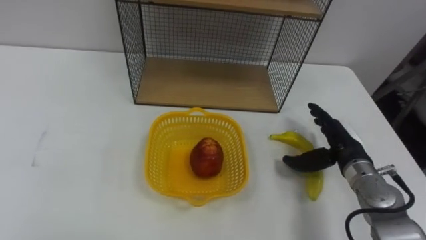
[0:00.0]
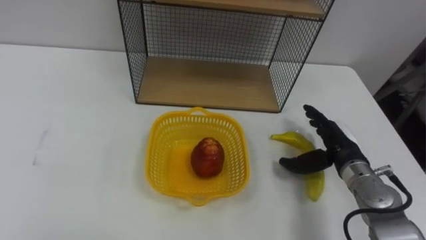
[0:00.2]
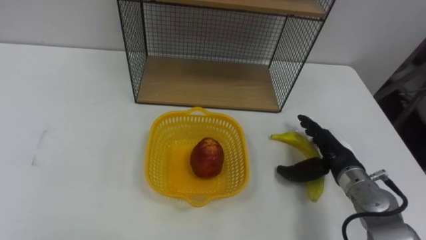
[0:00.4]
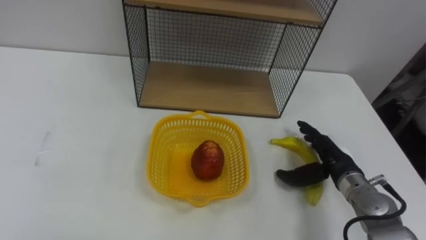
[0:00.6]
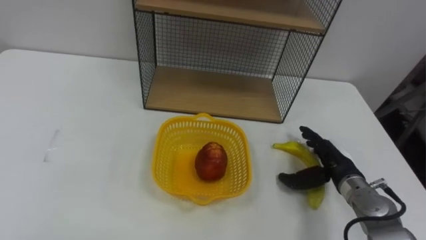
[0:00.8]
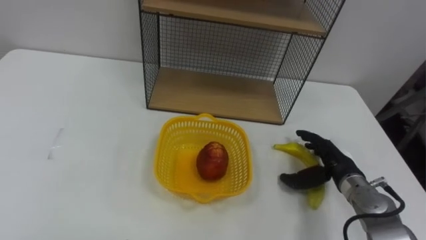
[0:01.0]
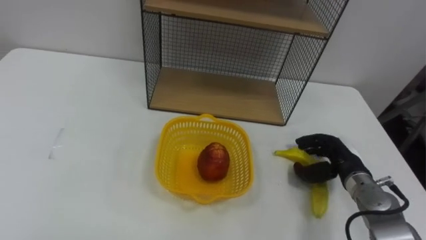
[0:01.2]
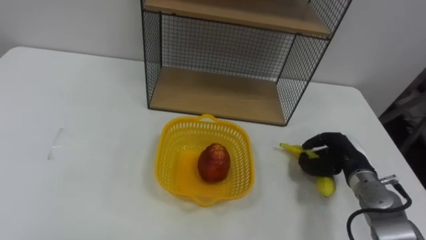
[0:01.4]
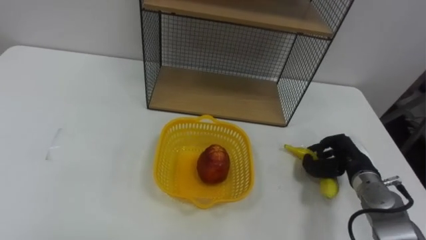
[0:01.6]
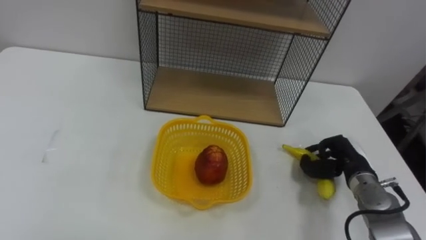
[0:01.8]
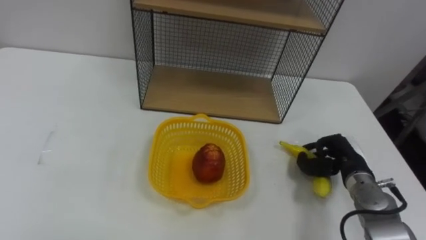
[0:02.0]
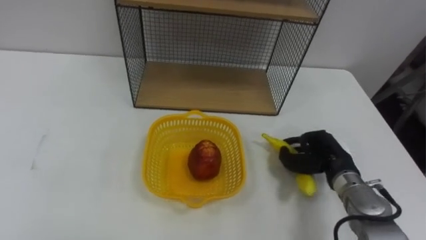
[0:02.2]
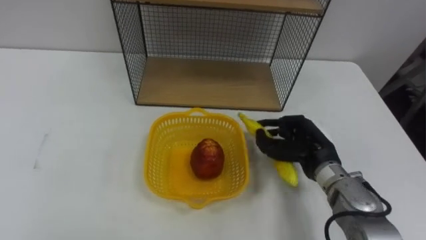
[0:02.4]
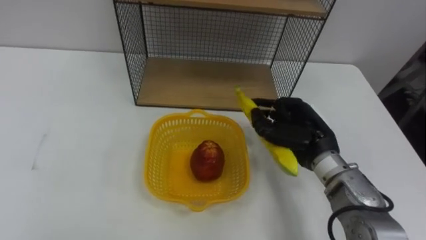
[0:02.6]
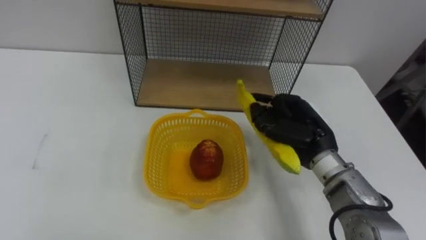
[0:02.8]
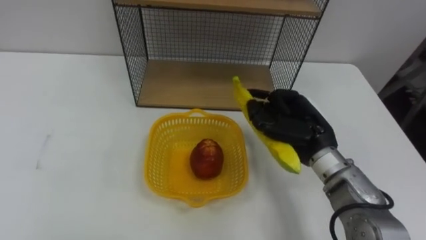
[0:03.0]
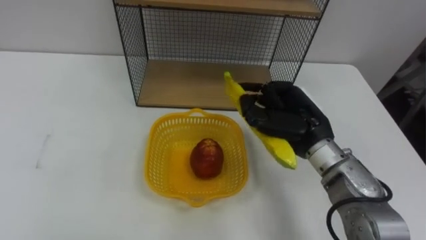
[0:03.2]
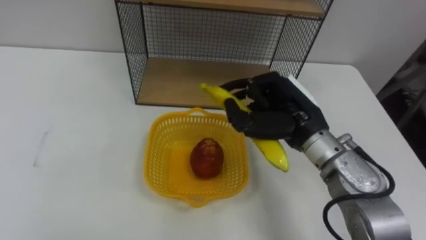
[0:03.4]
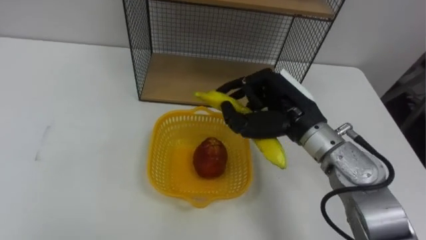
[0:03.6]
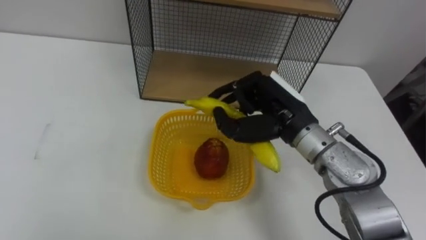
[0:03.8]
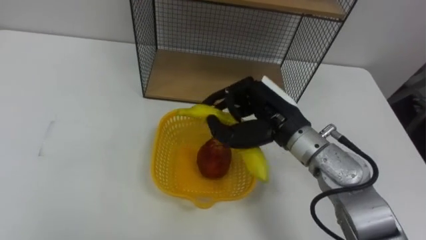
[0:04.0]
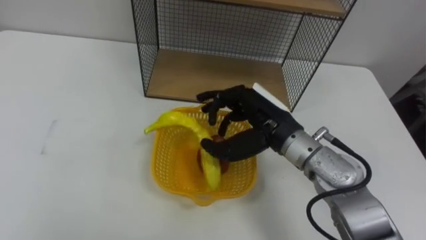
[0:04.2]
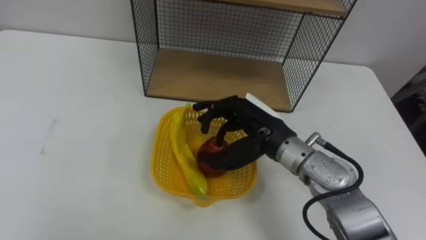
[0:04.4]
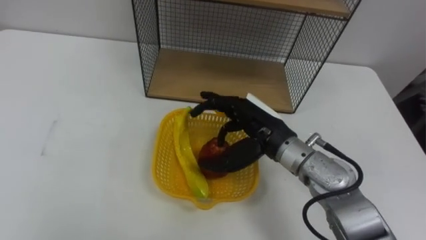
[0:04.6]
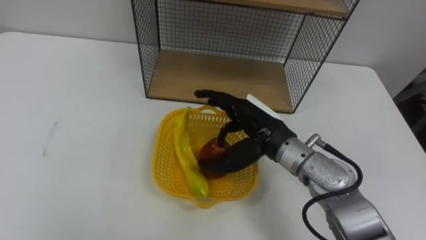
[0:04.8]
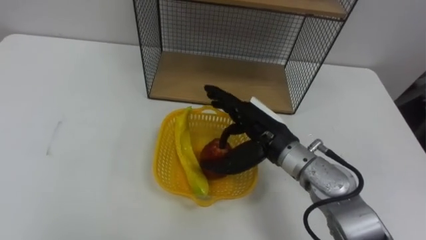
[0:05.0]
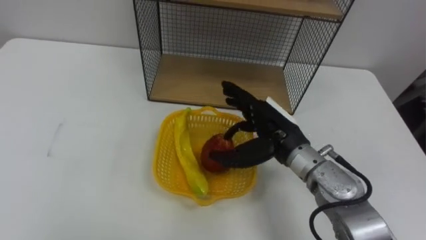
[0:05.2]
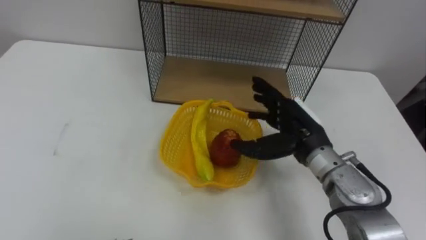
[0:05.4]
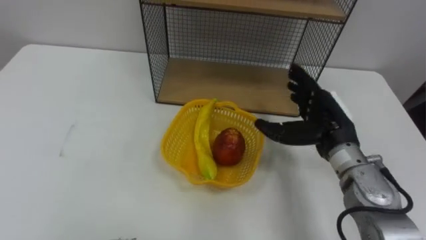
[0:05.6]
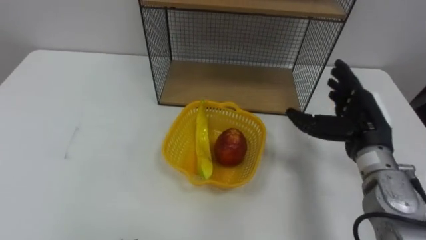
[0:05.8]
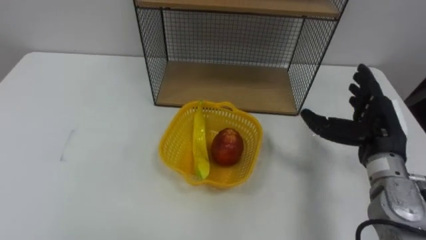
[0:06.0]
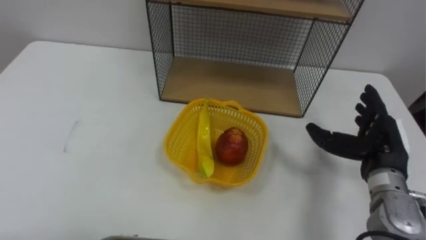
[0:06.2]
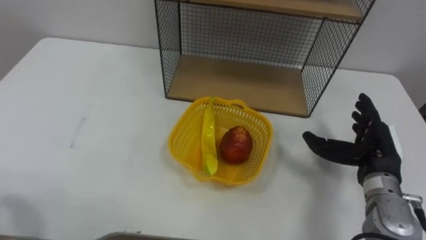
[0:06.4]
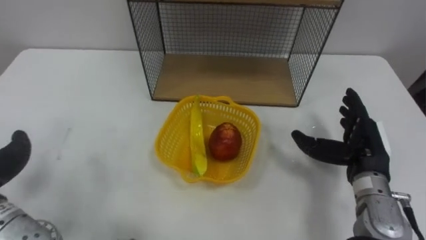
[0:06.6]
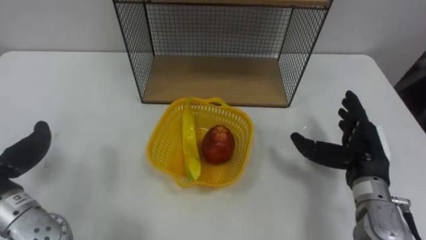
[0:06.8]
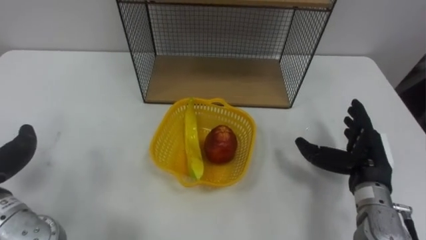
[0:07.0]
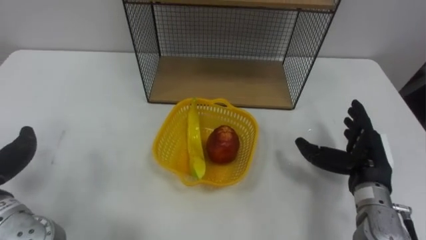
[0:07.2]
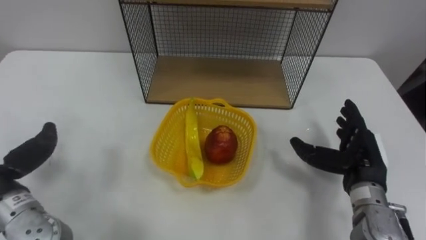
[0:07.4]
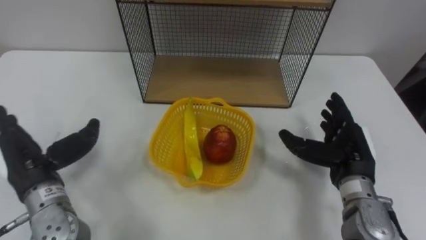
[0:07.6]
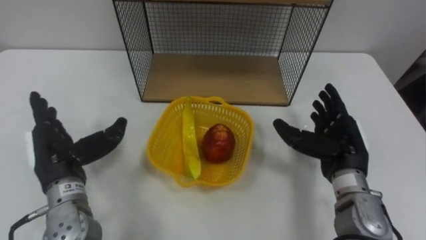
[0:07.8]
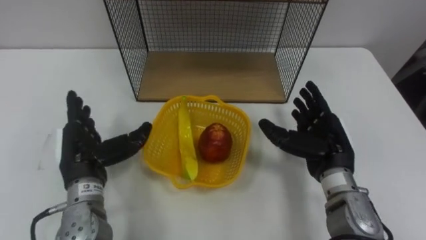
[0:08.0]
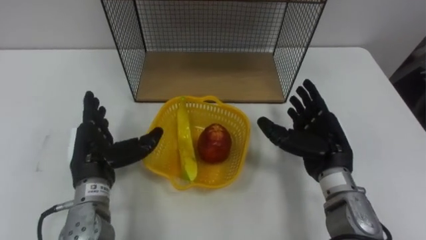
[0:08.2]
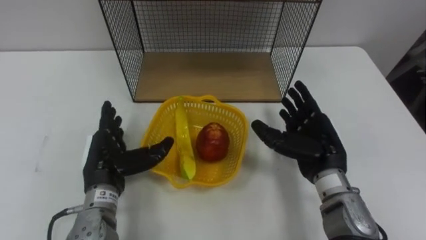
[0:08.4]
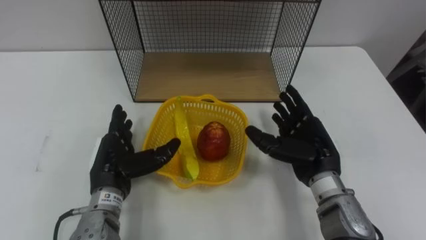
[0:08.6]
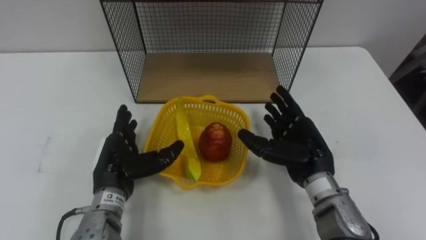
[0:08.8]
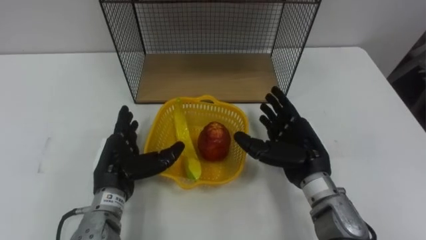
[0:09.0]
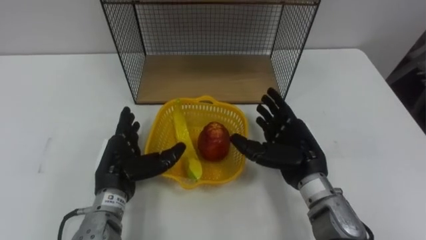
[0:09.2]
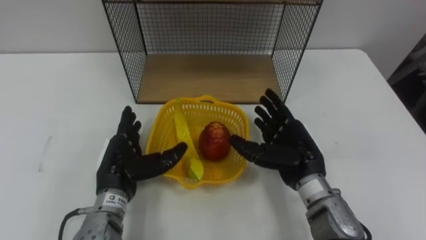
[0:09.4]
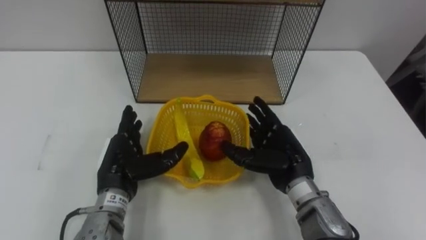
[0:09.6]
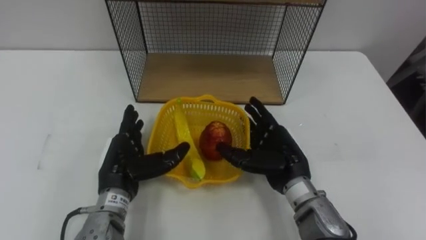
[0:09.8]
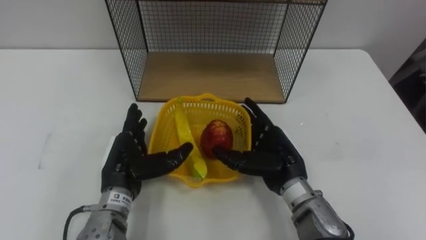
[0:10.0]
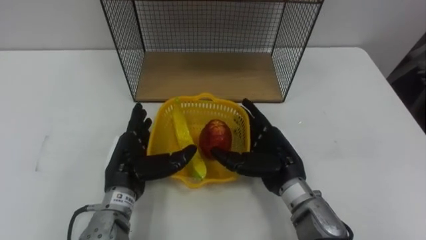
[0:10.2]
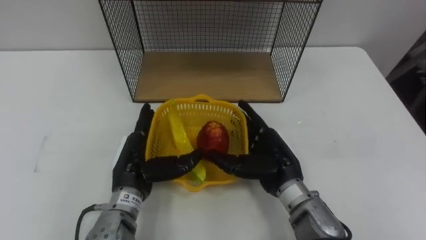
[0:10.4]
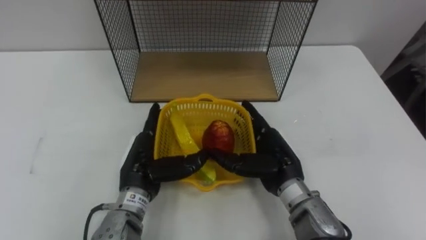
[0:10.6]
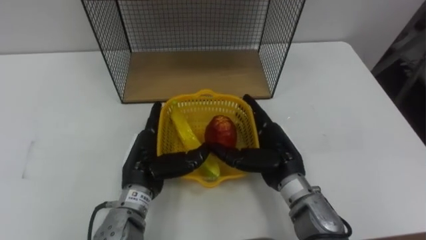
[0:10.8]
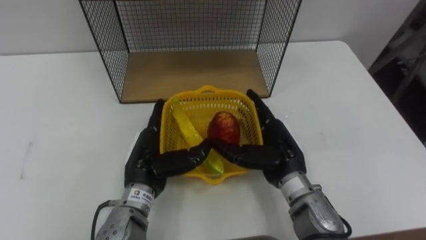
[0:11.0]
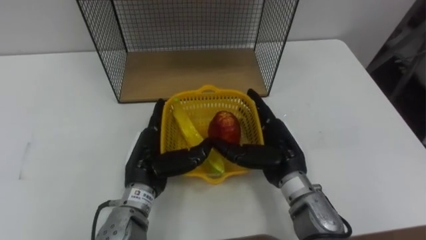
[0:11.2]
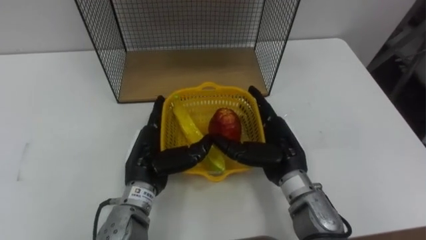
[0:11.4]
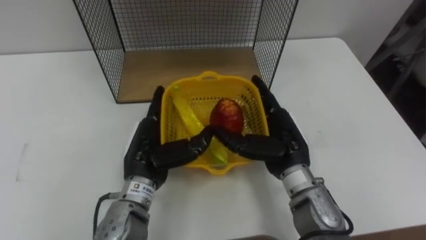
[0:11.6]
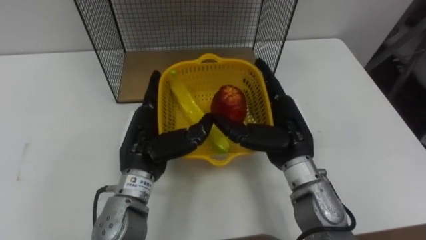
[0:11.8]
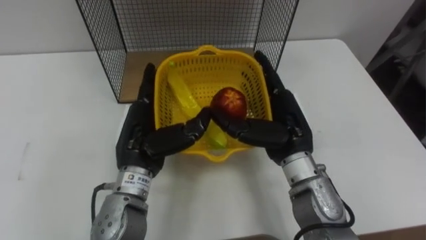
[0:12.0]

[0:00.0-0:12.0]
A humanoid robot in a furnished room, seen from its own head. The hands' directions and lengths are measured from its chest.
Task of the whole recording: Put the fruit on the table into the basket, then place the basket on the shelf.
0:00.0 to 0:01.6: The right hand travels downward by approximately 5 cm, and closes its fingers.
0:01.6 to 0:03.0: The right hand is displaced upward and to the left by roughly 20 cm.
0:03.0 to 0:04.4: The right hand travels to the left by about 10 cm.
0:04.4 to 0:06.0: The right hand heads to the right, covering about 20 cm, and opens.
0:06.0 to 0:07.6: The right hand changes place by roughly 5 cm.
0:07.6 to 0:09.0: The right hand heads to the left, covering about 10 cm. Meanwhile the left hand travels to the right and downward by about 15 cm.
0:09.0 to 0:10.4: The right hand ends up roughly 5 cm from where it was.
0:10.4 to 0:12.0: The hands both shift upward by some 5 cm.

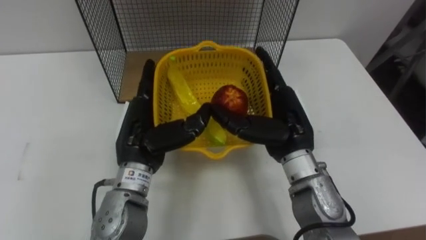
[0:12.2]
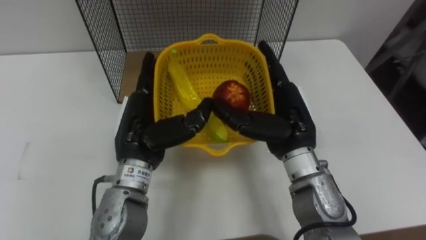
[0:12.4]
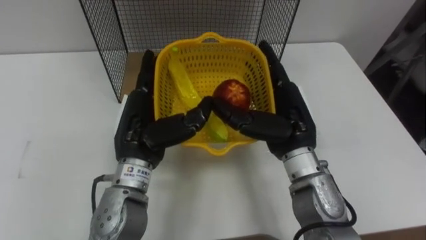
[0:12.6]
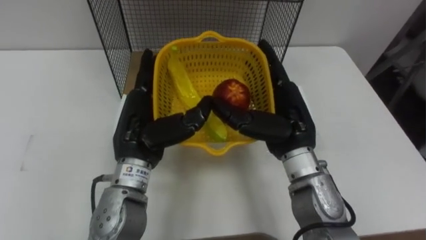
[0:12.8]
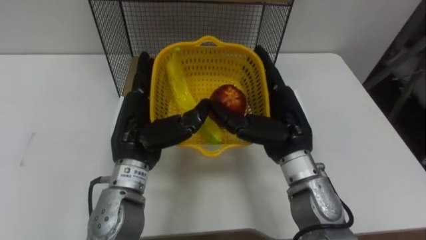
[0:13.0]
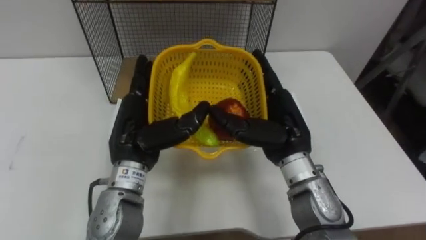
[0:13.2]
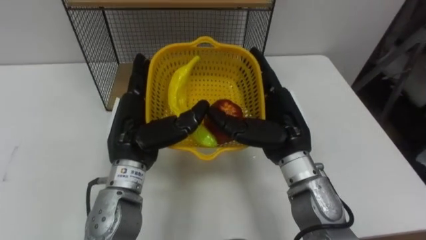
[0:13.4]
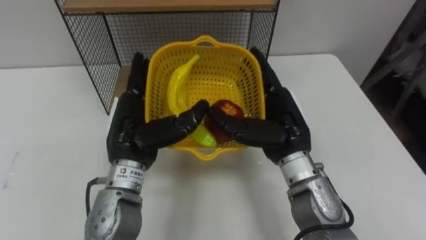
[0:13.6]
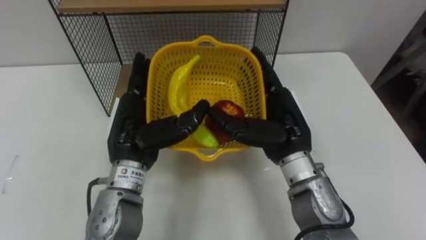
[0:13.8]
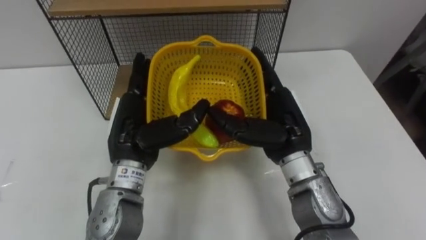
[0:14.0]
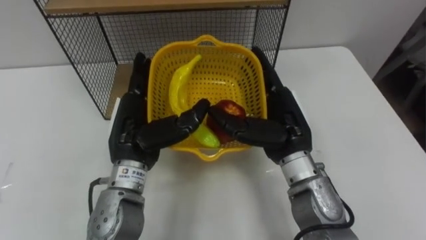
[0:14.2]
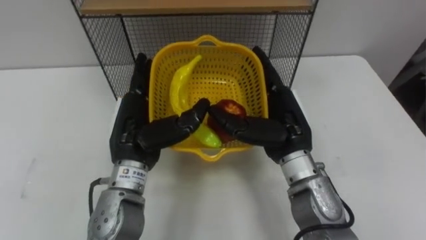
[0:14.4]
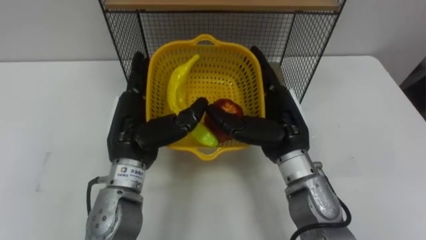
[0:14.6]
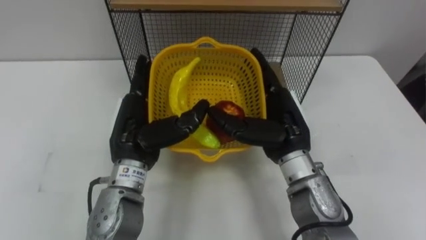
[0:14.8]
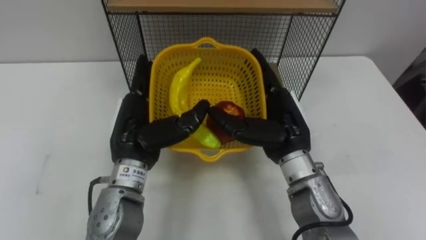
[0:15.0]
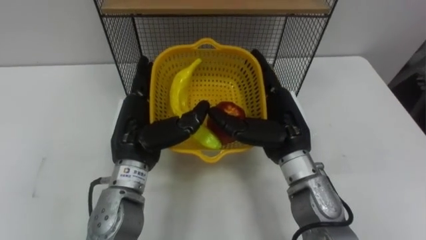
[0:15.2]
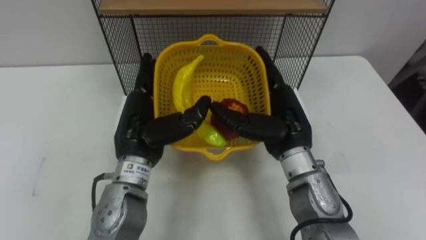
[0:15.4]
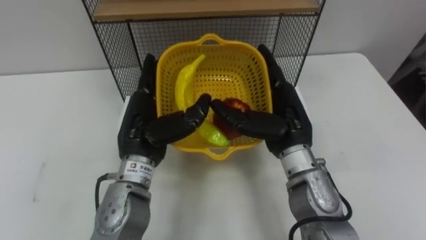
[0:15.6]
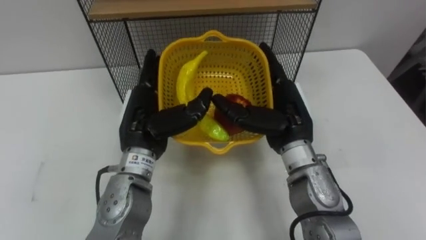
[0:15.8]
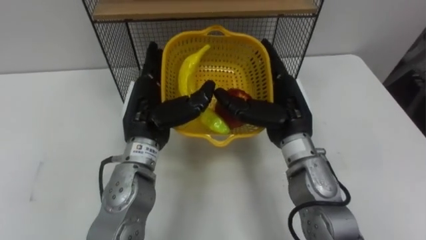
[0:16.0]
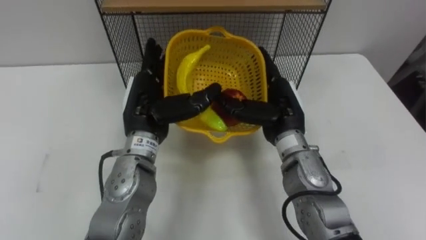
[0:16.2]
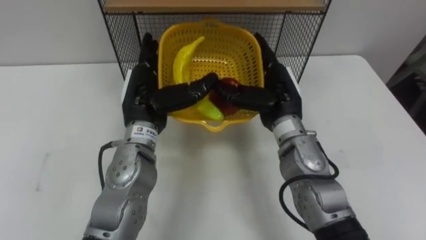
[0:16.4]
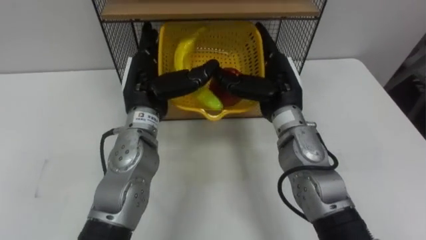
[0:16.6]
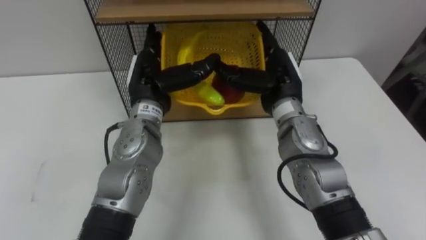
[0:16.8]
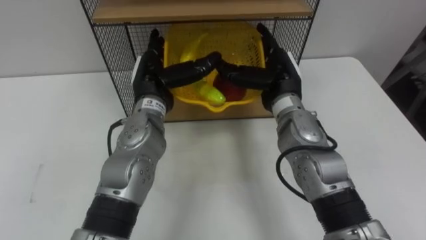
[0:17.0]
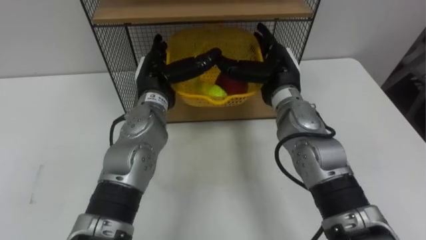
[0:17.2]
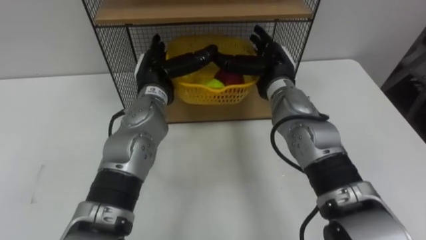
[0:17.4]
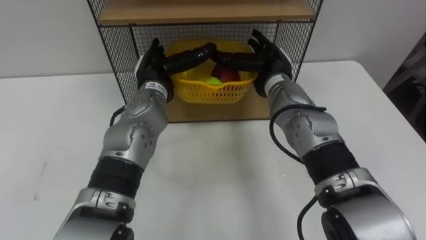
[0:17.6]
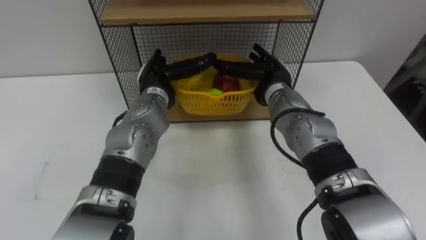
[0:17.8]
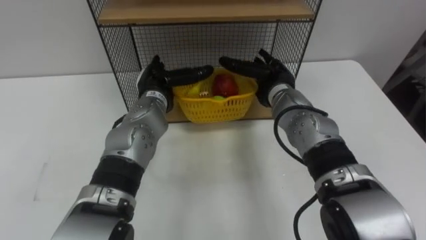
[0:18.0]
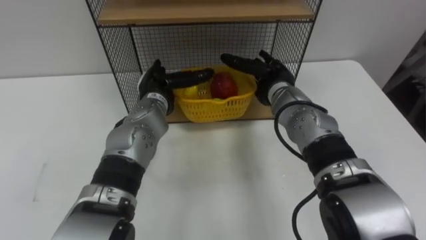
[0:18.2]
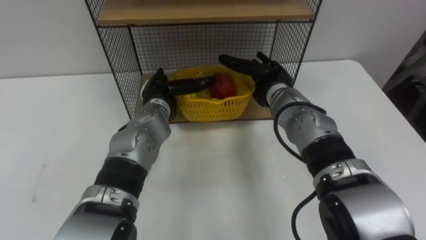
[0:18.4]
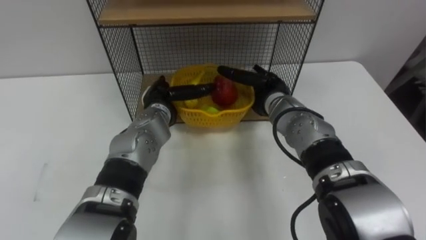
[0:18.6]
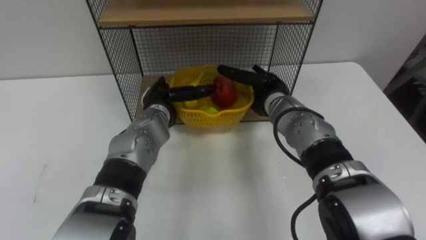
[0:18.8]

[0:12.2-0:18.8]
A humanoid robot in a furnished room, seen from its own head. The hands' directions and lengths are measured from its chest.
Task of the whole recording: Put the fruit on the table into the basket, then place the basket on the shelf.
0:15.4 to 0:17.2: The hands both shift forward by about 10 cm.
0:17.2 to 0:18.8: Both hands travel together downward, roughly 5 cm.
